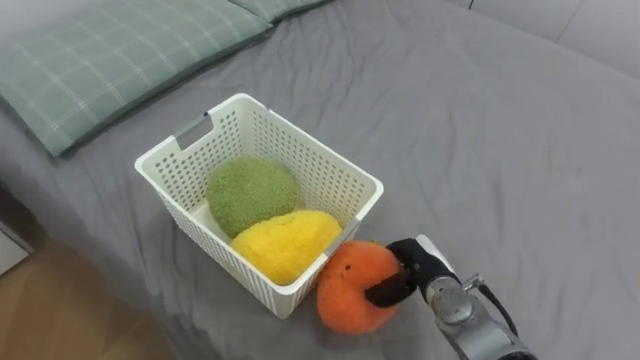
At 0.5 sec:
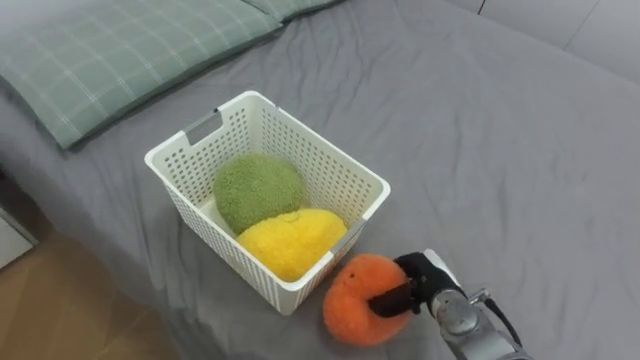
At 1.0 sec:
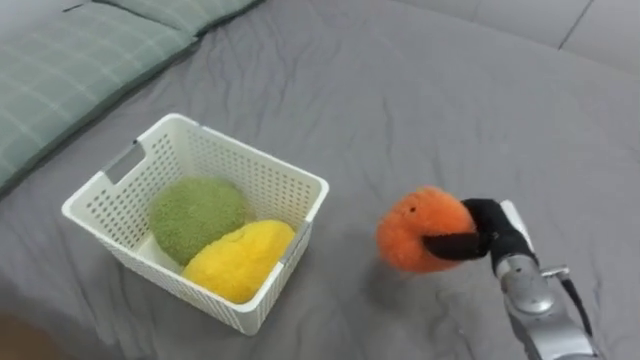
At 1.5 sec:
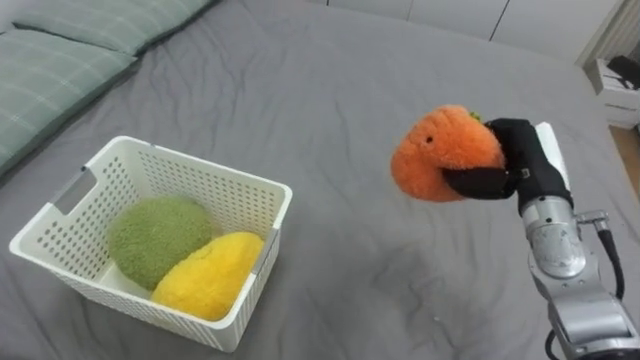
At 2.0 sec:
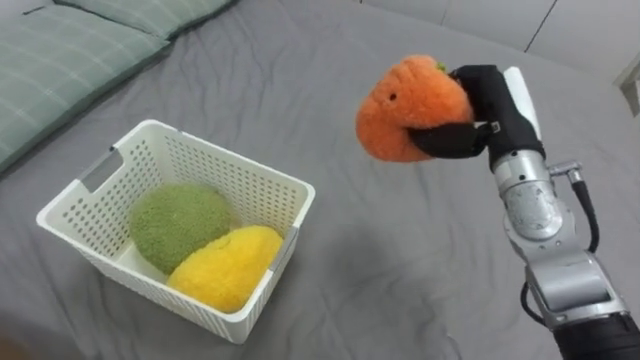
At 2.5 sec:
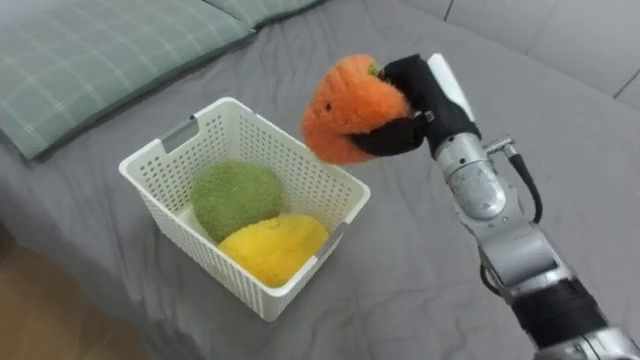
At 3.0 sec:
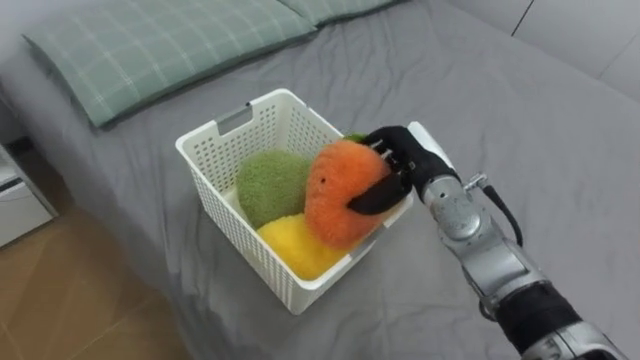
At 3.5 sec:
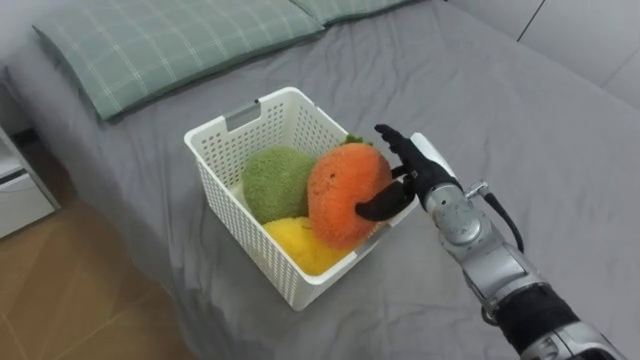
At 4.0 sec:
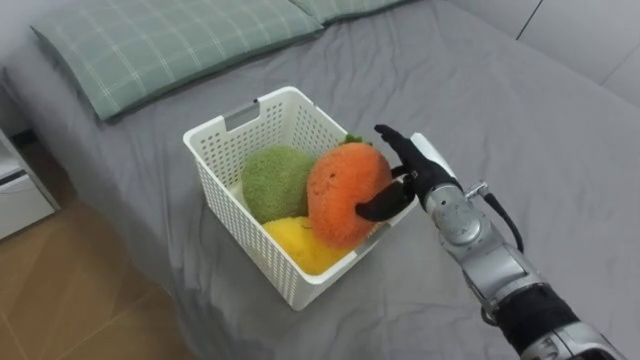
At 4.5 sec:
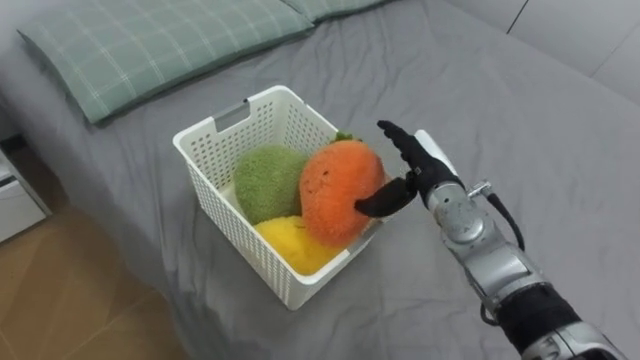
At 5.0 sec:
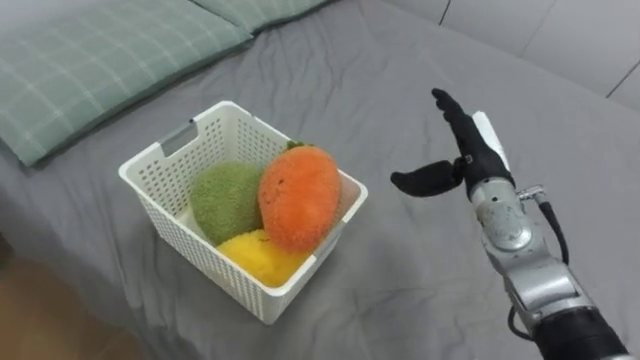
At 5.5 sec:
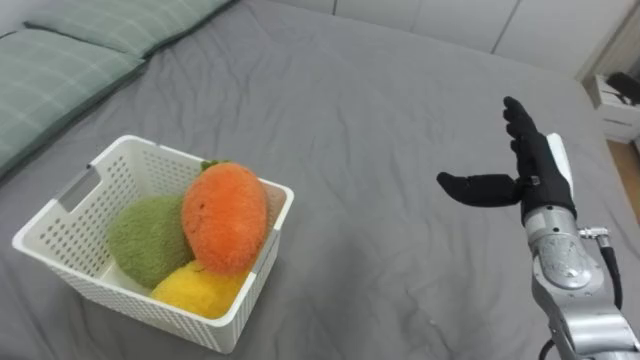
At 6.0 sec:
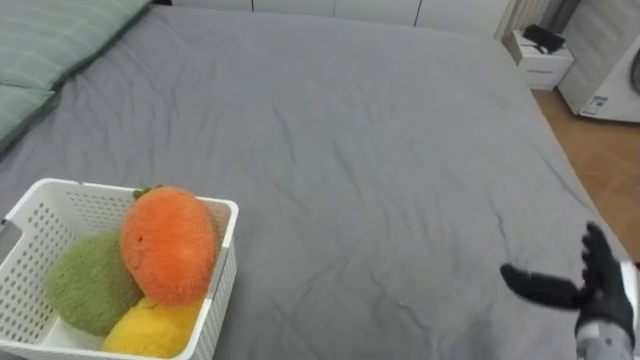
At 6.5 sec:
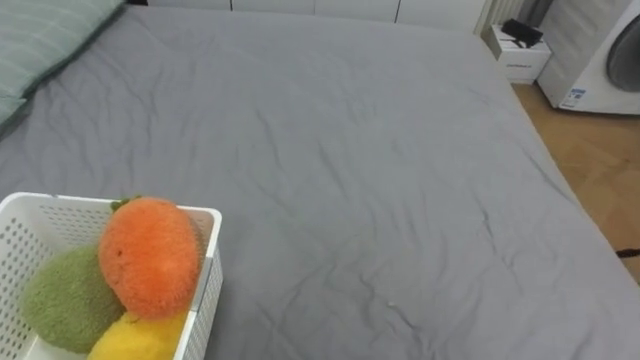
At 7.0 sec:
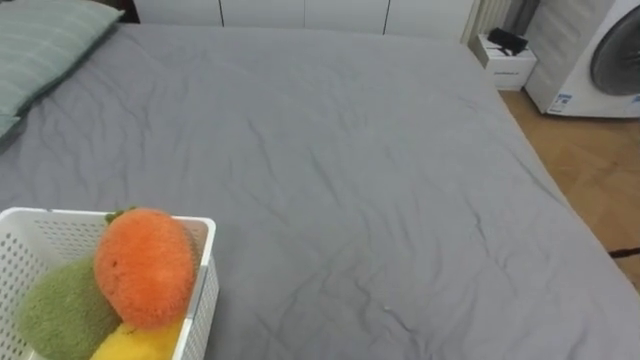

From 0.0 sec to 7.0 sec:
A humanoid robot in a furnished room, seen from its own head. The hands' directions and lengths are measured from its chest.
Task of the whole recording: Put the toys on the bed into the basket on the left.
From 0.0 sec to 2.0 sec: The right hand travels upward by approximately 20 cm.
From 2.0 sec to 3.5 sec: The right hand is displaced downward and to the left by about 15 cm, and opens.
From 3.5 sec to 5.0 sec: The right hand shifts some 5 cm to the right.

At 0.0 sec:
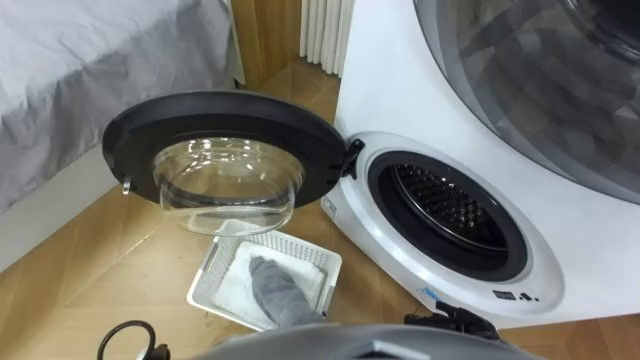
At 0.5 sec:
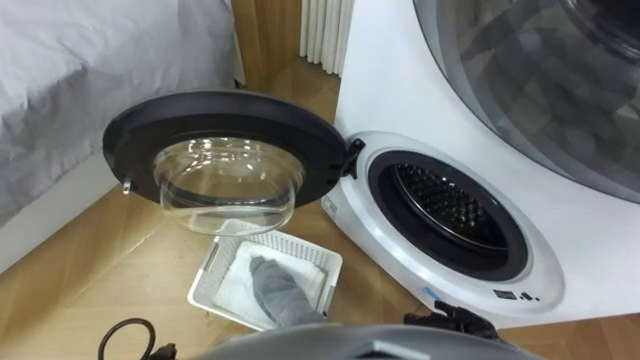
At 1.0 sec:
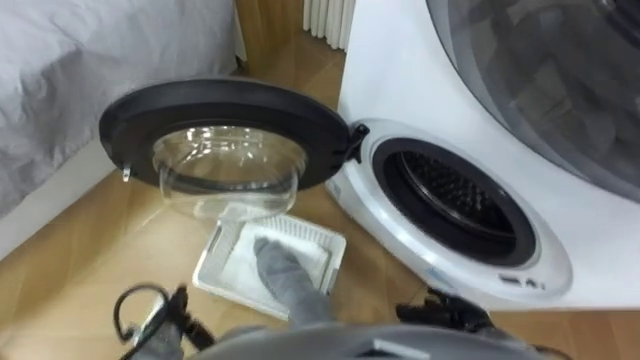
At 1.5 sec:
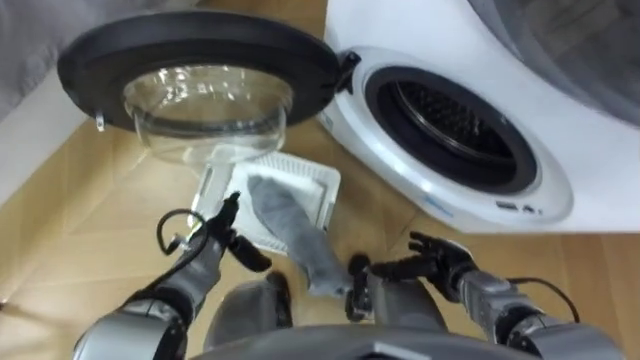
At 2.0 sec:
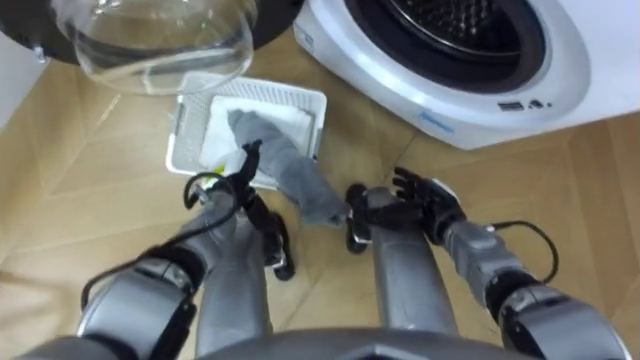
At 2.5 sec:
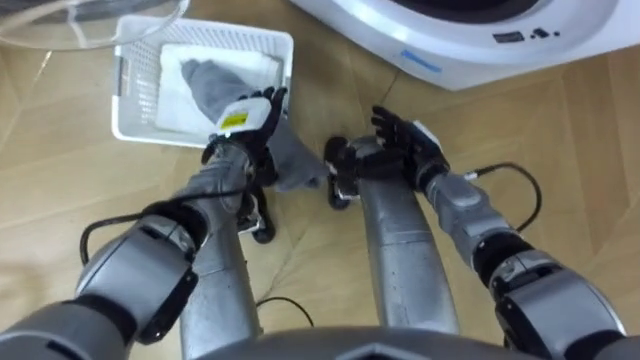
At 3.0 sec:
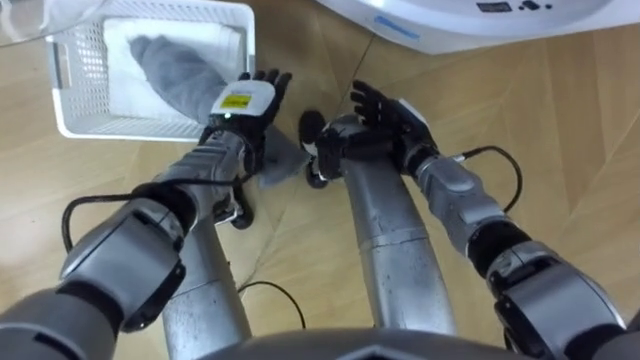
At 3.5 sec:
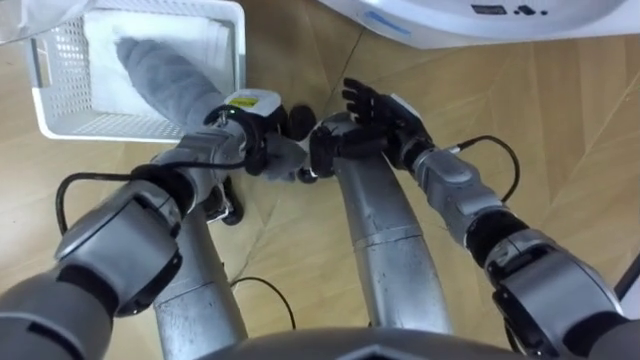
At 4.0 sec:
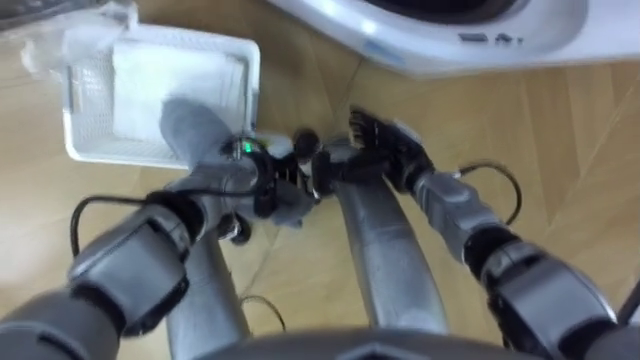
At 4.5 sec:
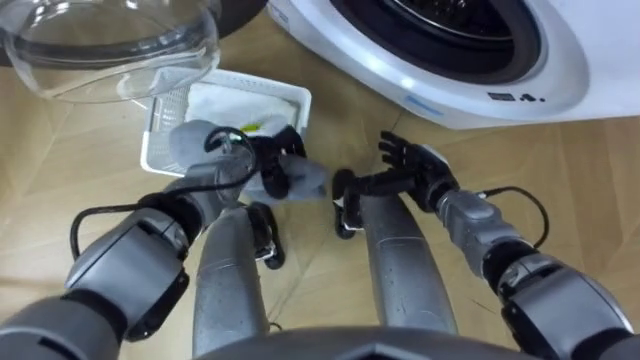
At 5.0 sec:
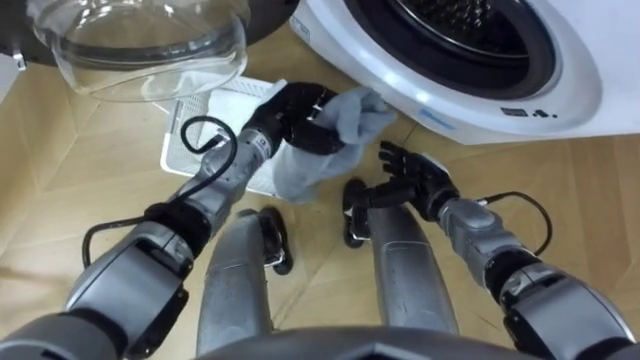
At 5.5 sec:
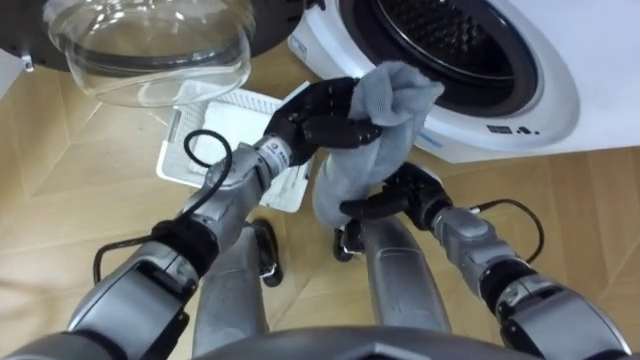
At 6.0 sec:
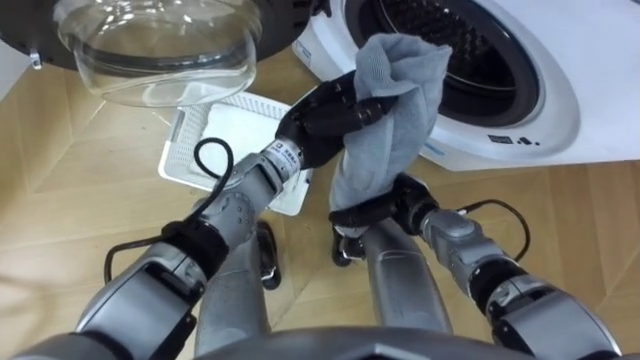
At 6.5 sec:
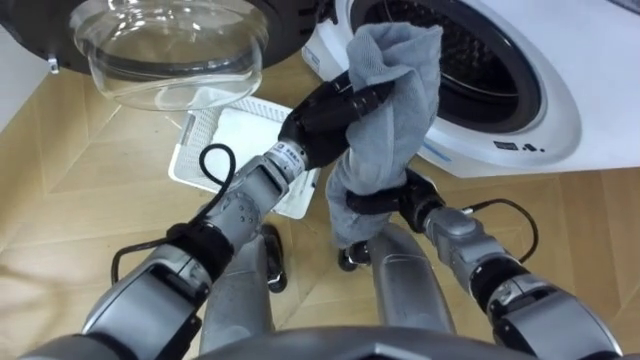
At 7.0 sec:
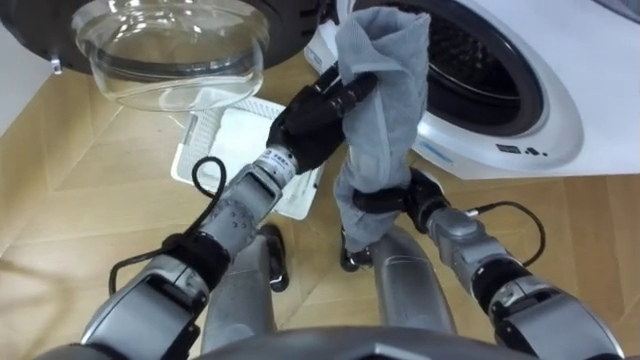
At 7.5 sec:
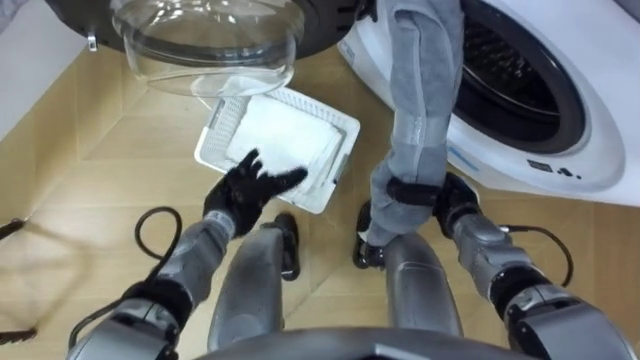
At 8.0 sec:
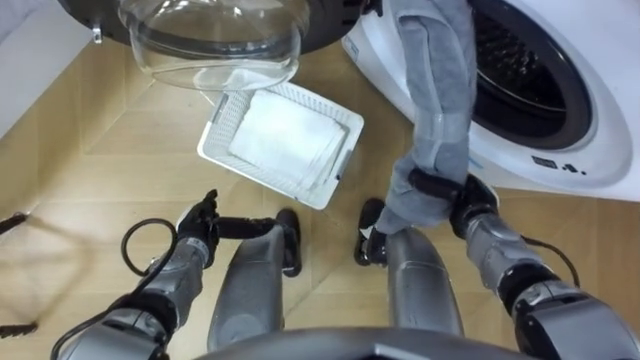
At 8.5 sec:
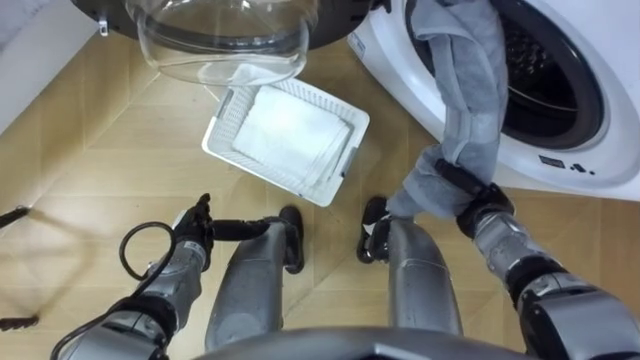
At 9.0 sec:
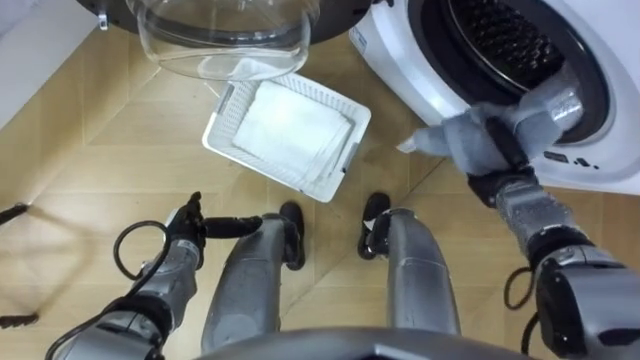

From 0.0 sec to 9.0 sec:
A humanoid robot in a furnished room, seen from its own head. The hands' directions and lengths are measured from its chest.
Task of the whole recording: Take the towel from the basket and put it into the washing machine.
From 2.0 sec to 4.5 sec: The left hand is displaced to the right by about 5 cm, and closes up.
From 4.5 sec to 7.0 sec: The right hand closes up. Meanwhile the left hand is displaced upward and to the right by about 10 cm.
From 7.0 sec to 9.0 sec: The right hand heads to the right, covering approximately 15 cm. The left hand heads to the left, downward and backward, covering approximately 25 cm, and opens its fingers.

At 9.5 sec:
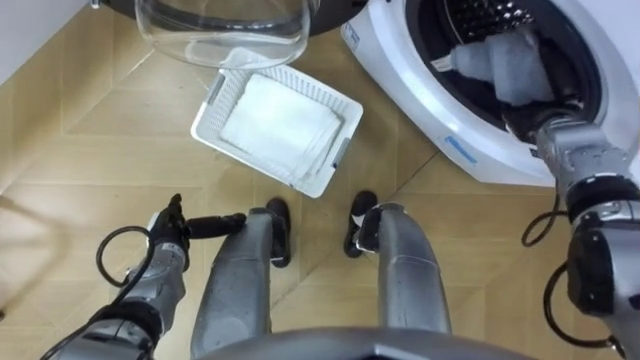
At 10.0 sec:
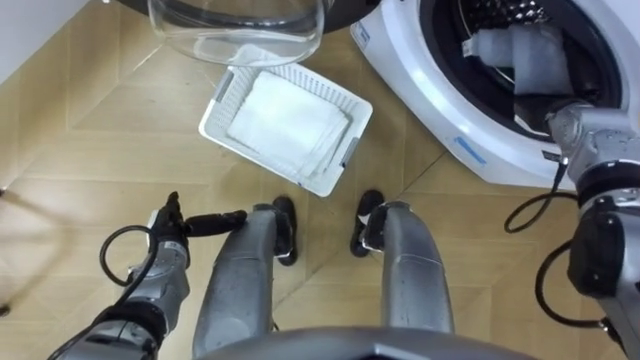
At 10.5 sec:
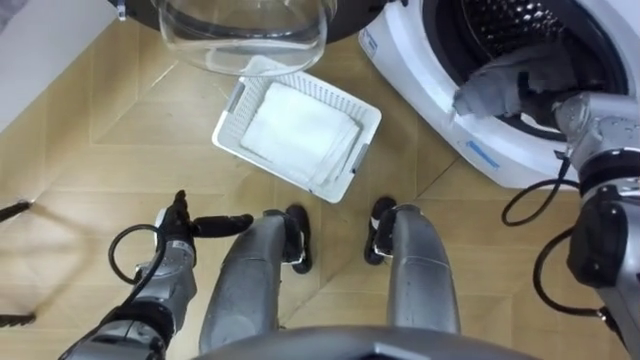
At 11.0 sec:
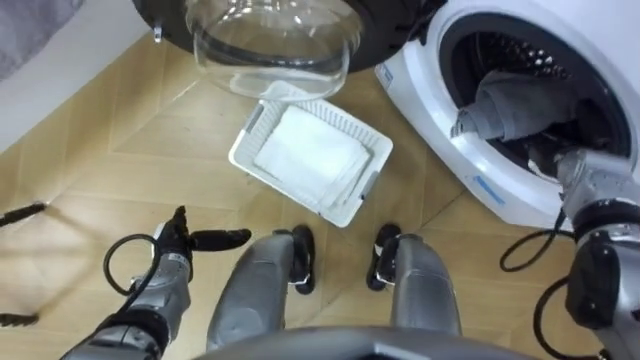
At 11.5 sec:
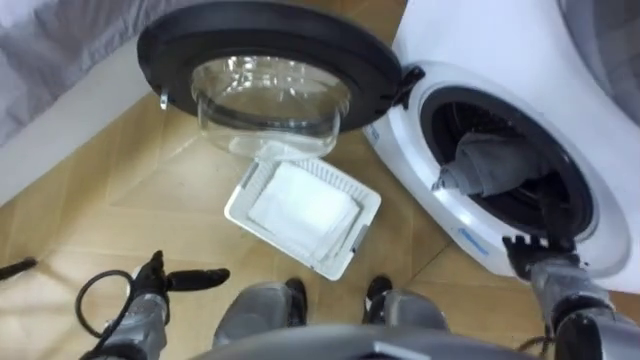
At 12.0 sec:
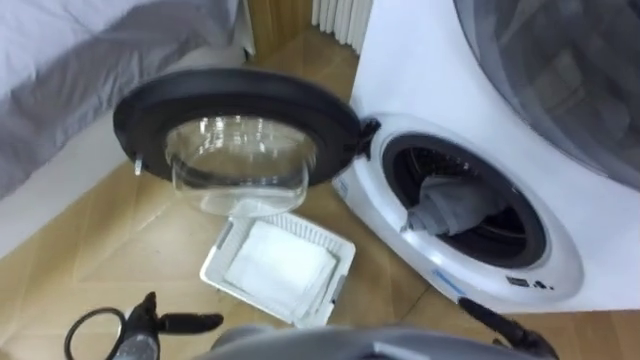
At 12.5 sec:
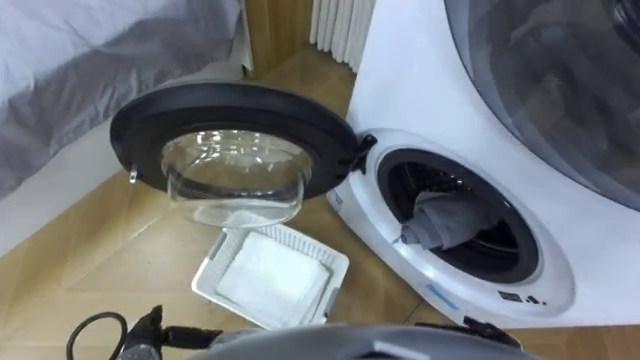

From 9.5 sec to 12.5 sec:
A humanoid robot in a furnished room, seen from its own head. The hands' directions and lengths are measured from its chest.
Task of the whole recording: Take the towel from the basket and put it into the washing machine.
From 9.5 sec to 11.0 sec: The right hand goes approximately 5 cm backward, and opens up.
From 11.0 sec to 12.5 sec: The left hand goes approximately 15 cm backward. Meanwhile the right hand goes approximately 30 cm backward and downward.
